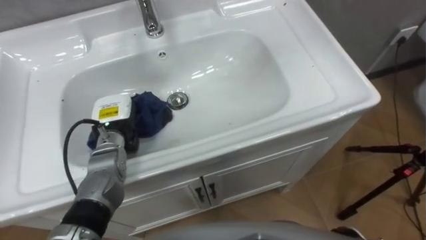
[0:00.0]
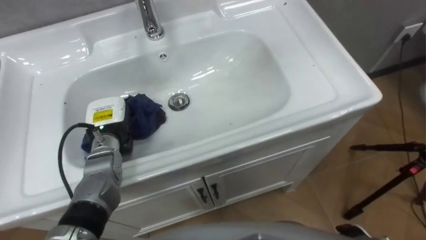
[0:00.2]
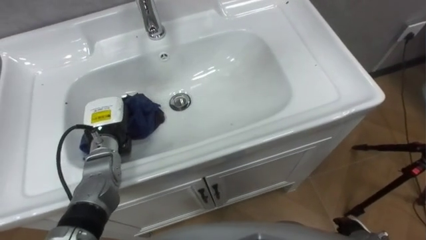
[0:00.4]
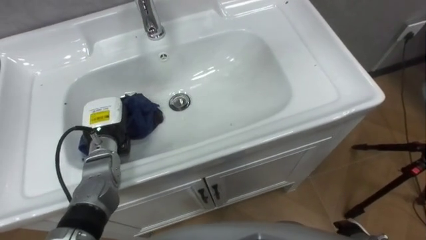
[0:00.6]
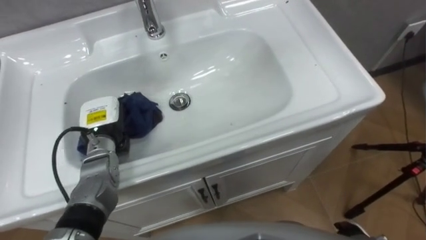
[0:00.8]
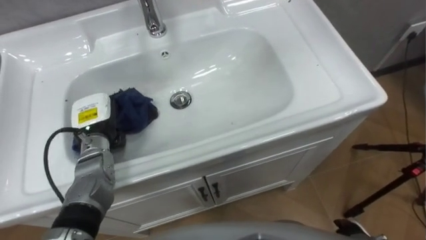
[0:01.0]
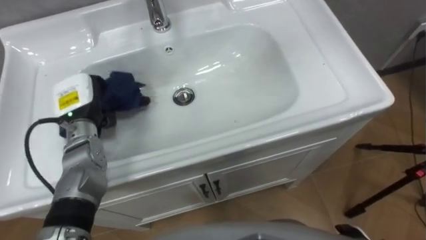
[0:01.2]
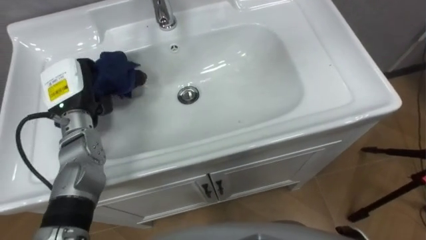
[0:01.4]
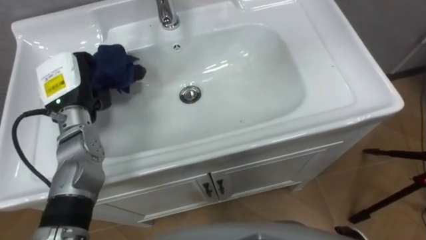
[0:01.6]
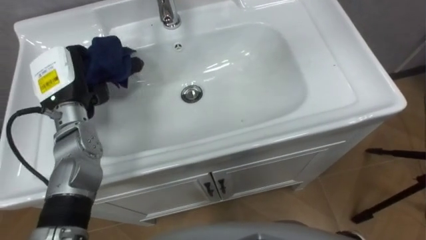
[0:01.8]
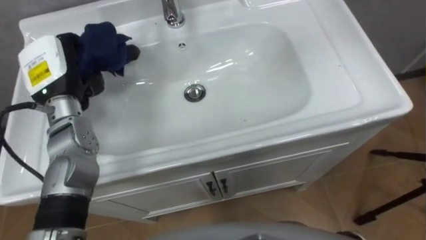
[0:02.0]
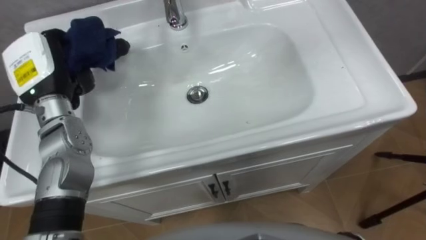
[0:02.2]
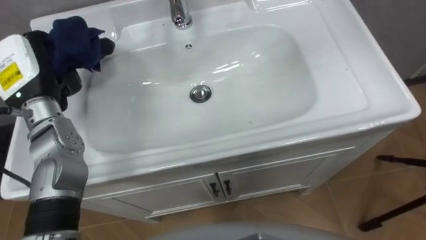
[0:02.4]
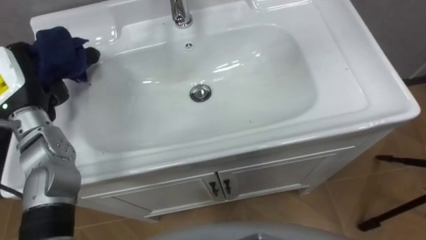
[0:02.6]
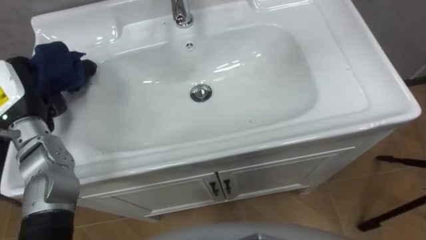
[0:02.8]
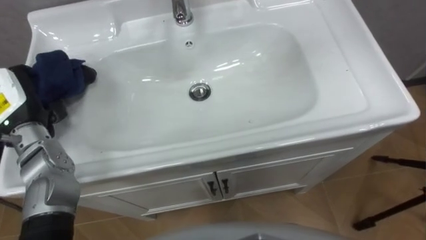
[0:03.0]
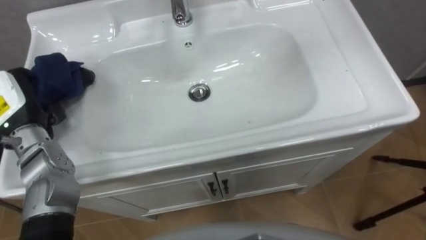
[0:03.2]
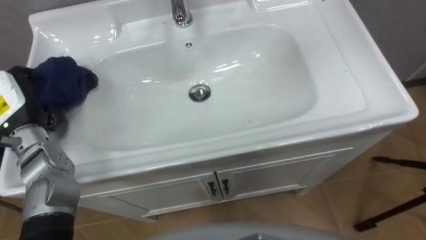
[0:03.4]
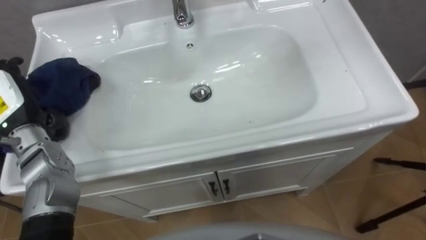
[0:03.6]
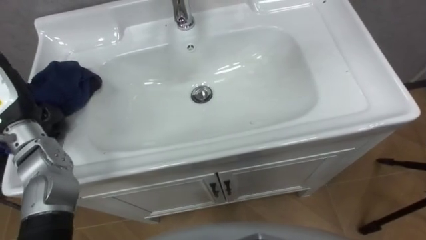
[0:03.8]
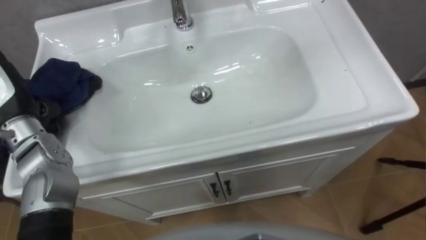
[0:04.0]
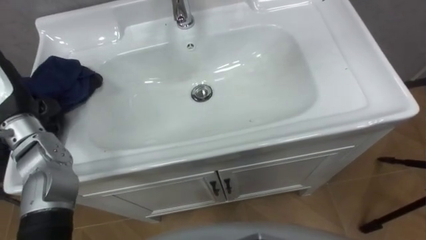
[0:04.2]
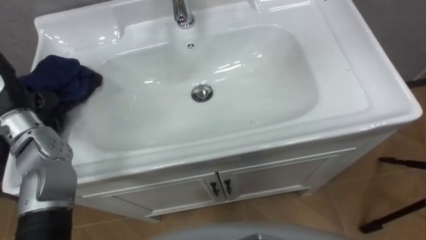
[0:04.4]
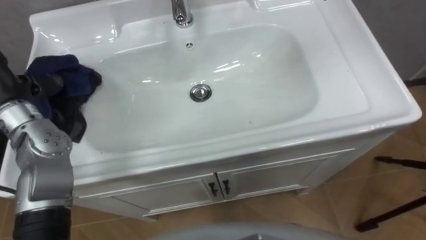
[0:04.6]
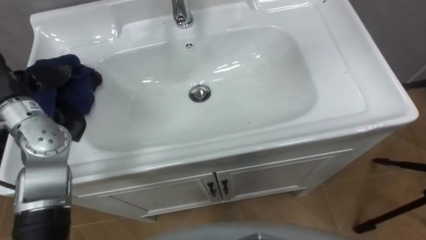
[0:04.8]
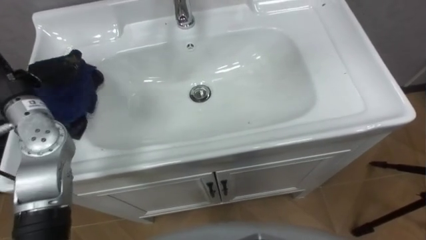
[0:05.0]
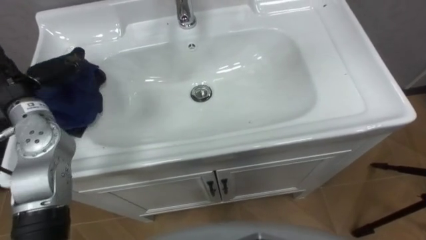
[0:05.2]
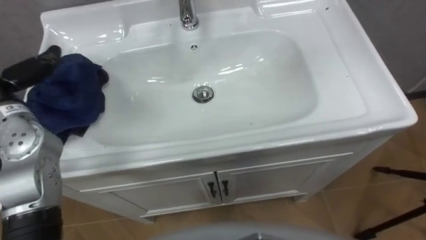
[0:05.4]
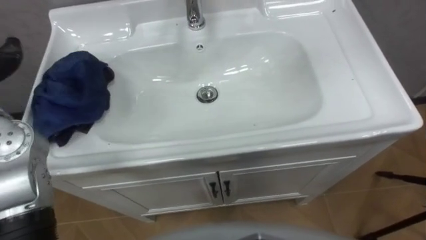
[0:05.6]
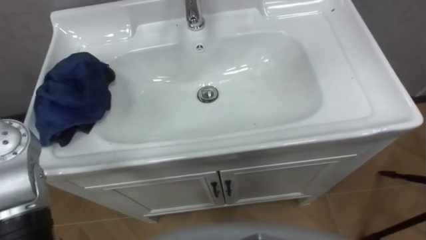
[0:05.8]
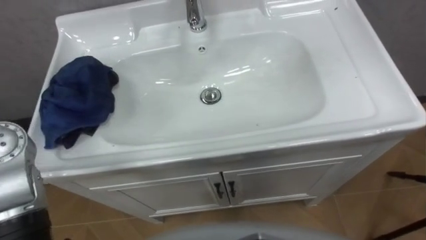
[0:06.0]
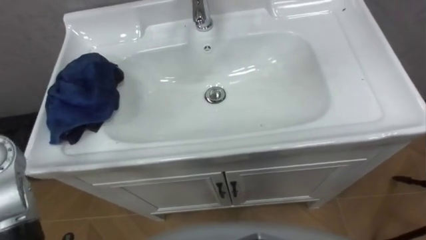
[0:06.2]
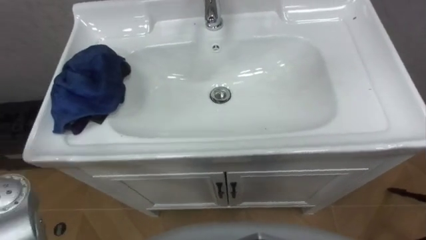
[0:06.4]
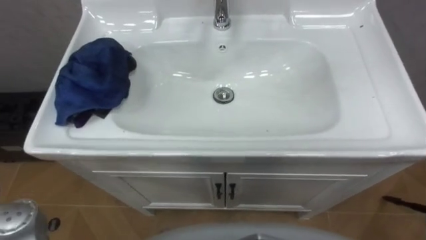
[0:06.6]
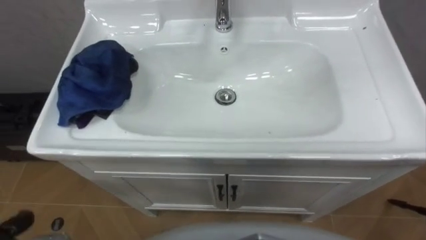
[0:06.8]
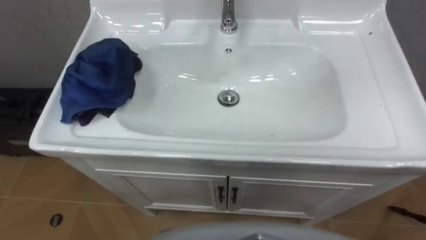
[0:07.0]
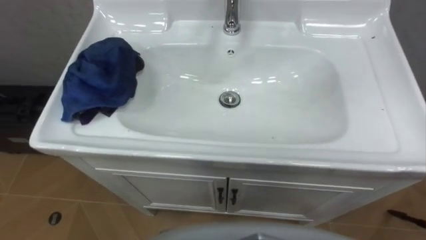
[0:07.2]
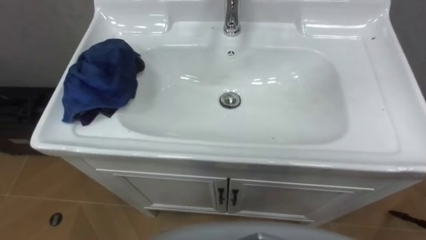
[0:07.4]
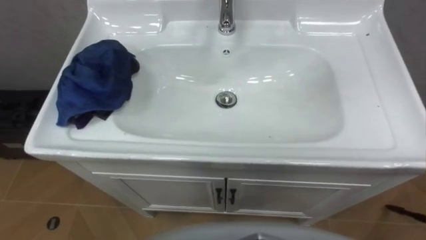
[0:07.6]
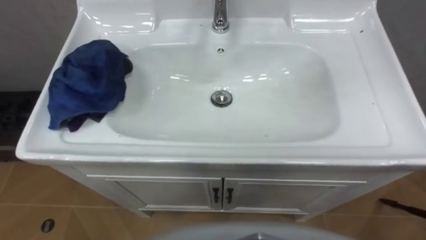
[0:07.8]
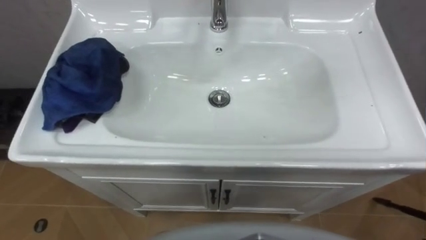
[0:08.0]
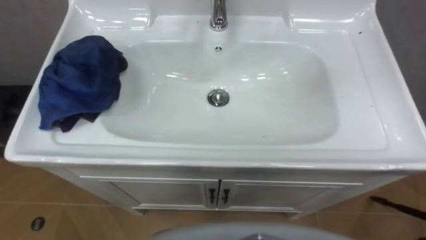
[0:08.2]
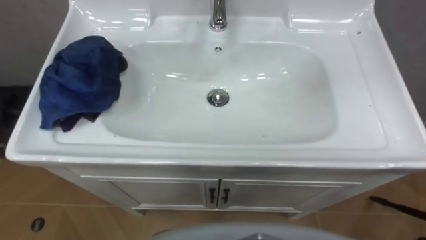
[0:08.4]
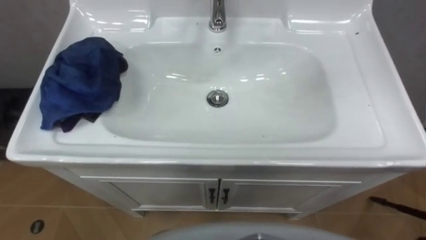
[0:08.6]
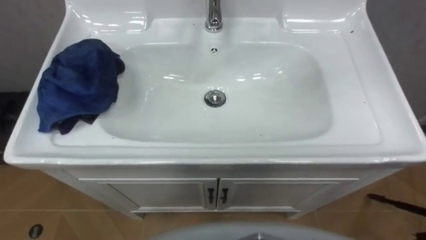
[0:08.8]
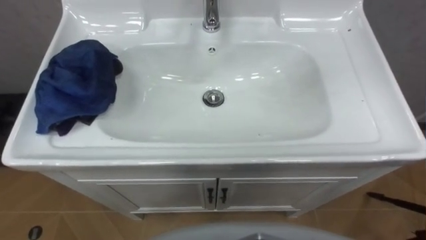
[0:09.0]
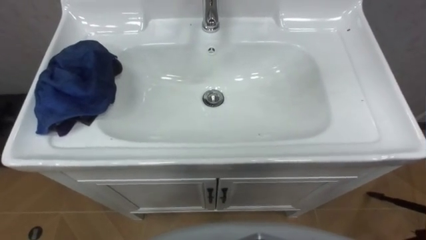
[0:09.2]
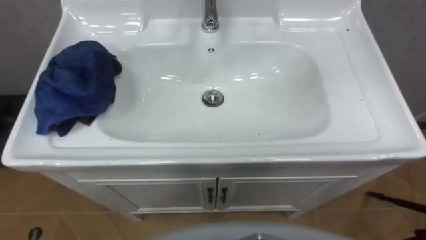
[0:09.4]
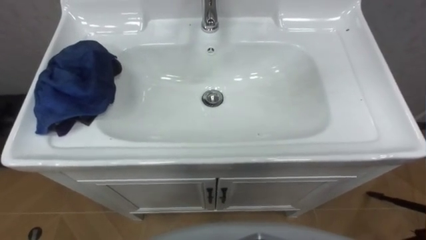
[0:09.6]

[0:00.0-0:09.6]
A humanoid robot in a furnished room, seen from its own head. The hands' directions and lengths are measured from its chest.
Task of the whole recording: Use the cloth on the right to wipe away the black stain in the sink.
0:00.0 to 0:01.6: The left hand heads upward and to the left, covering approximately 10 cm.
0:01.6 to 0:03.2: The left hand travels to the left and backward by some 10 cm.

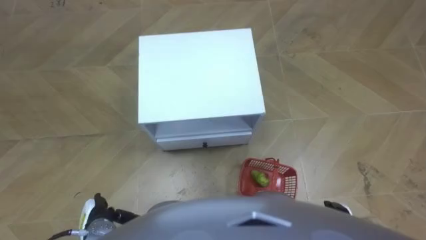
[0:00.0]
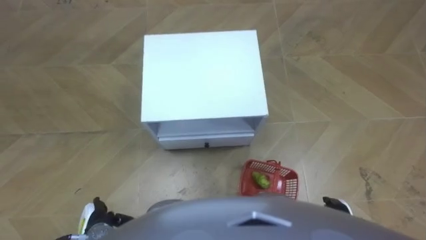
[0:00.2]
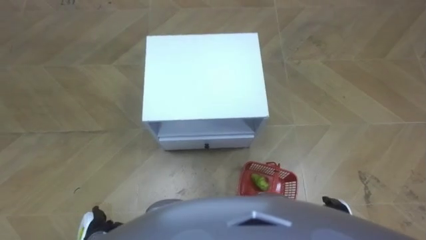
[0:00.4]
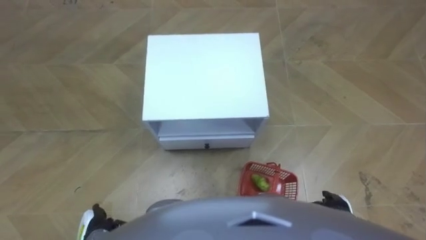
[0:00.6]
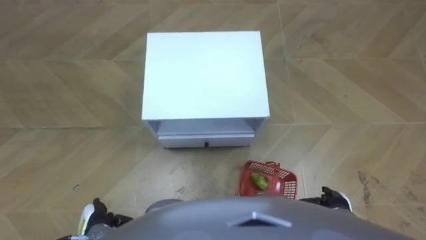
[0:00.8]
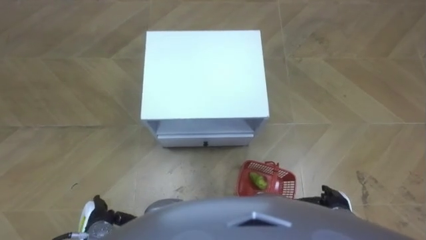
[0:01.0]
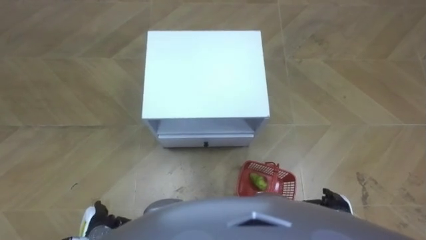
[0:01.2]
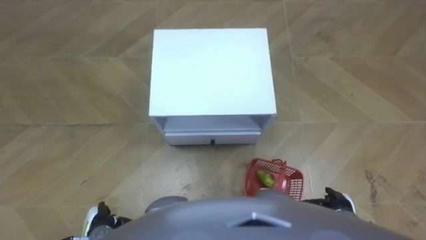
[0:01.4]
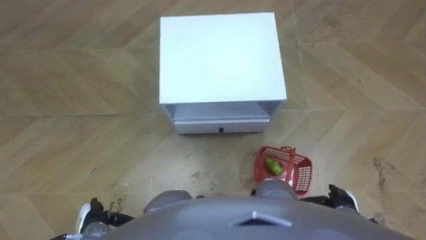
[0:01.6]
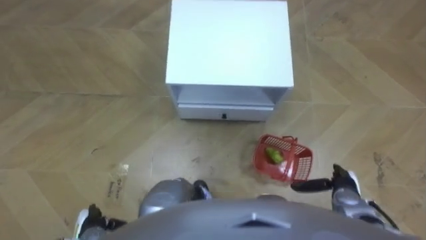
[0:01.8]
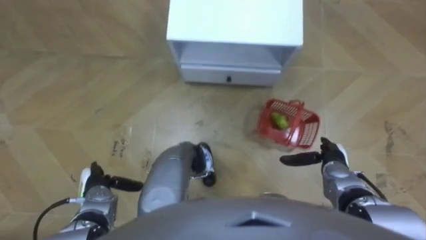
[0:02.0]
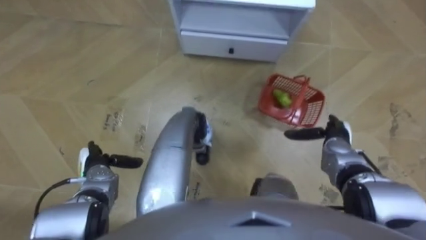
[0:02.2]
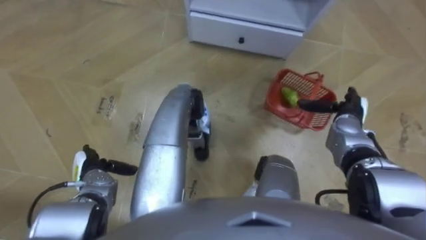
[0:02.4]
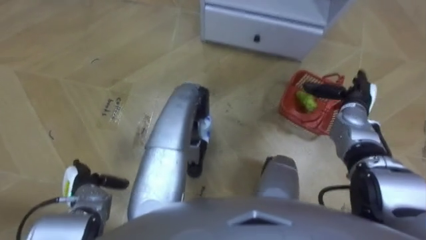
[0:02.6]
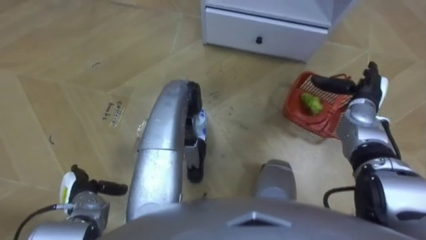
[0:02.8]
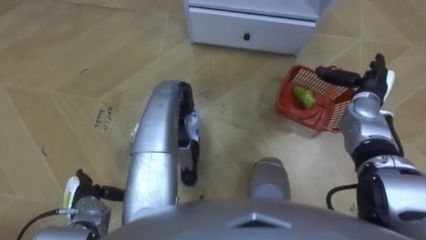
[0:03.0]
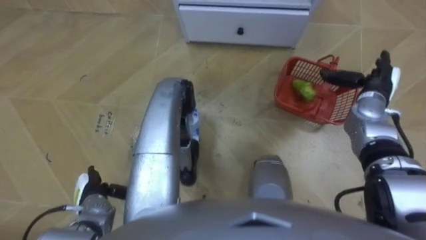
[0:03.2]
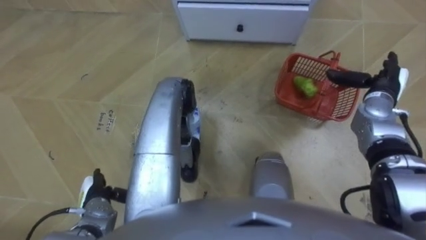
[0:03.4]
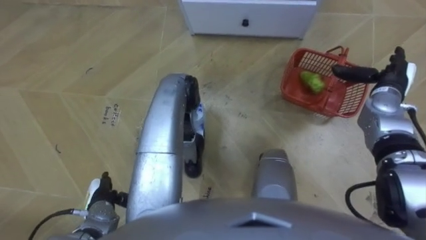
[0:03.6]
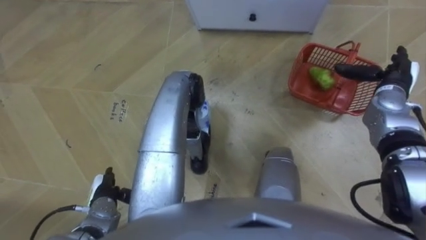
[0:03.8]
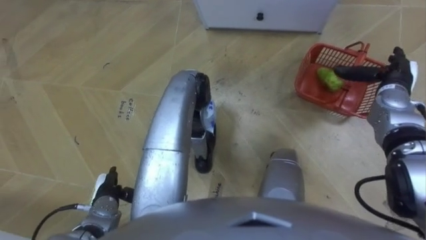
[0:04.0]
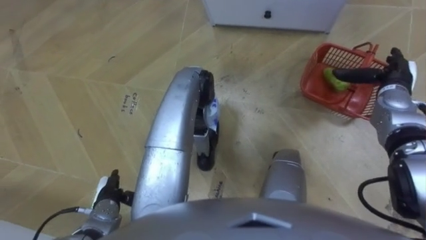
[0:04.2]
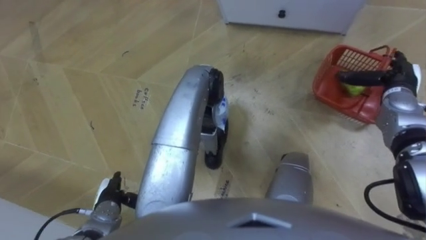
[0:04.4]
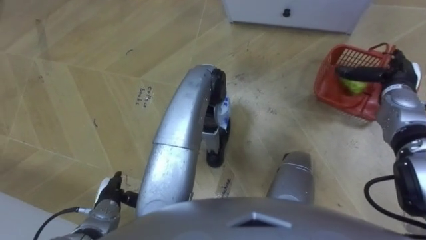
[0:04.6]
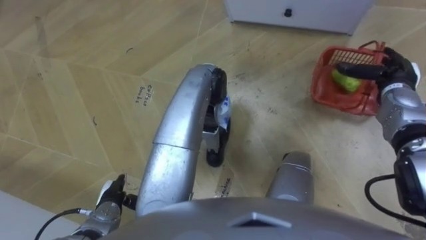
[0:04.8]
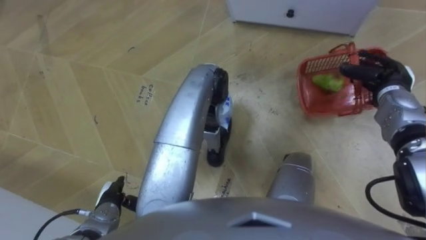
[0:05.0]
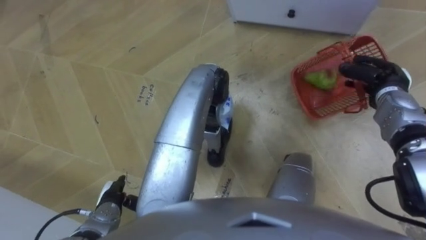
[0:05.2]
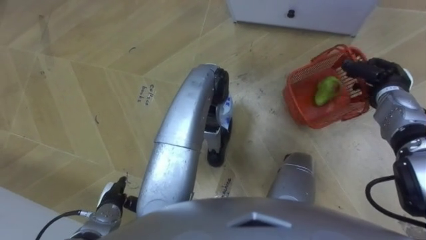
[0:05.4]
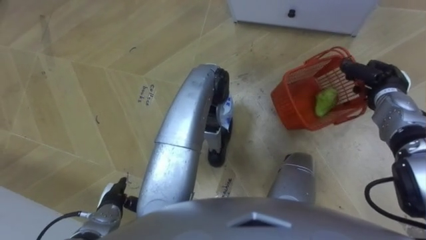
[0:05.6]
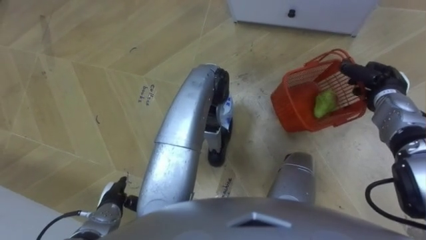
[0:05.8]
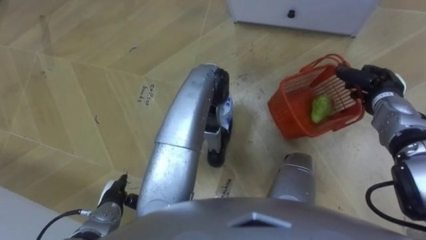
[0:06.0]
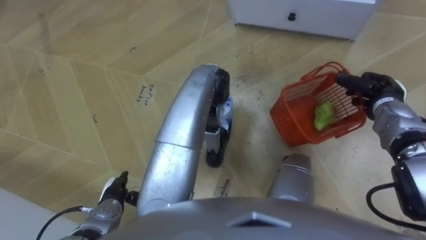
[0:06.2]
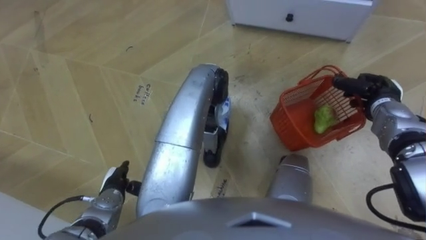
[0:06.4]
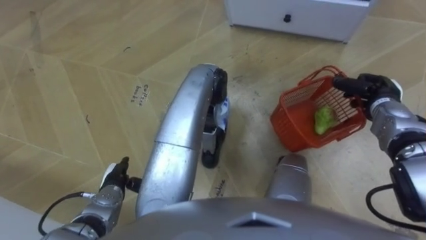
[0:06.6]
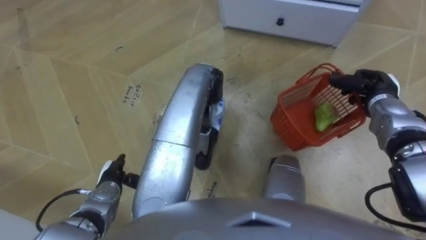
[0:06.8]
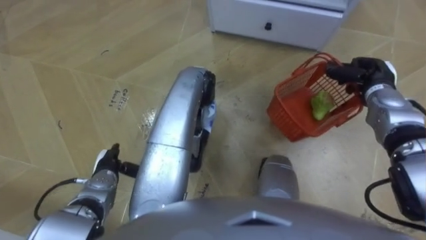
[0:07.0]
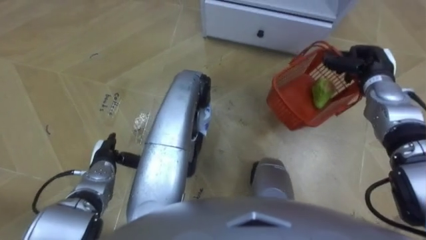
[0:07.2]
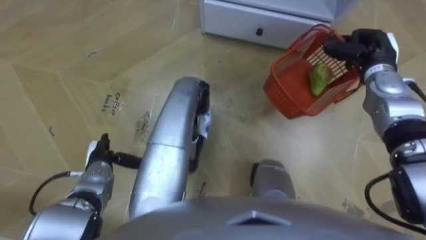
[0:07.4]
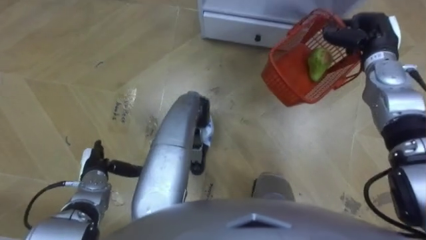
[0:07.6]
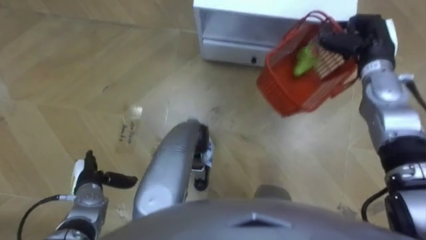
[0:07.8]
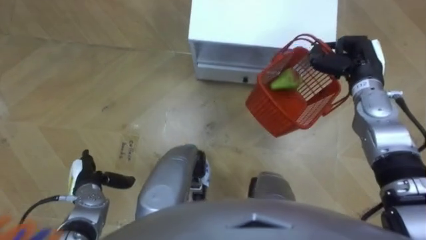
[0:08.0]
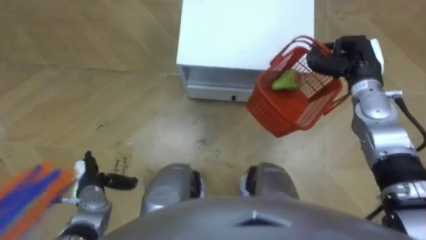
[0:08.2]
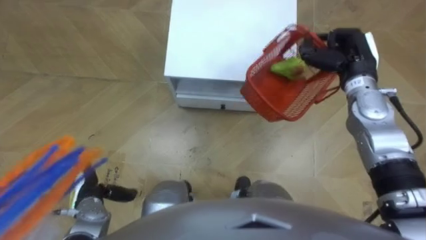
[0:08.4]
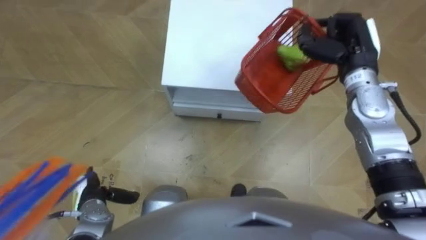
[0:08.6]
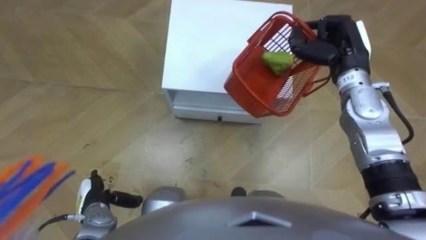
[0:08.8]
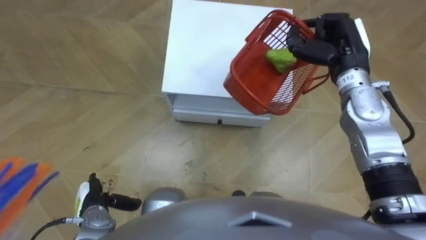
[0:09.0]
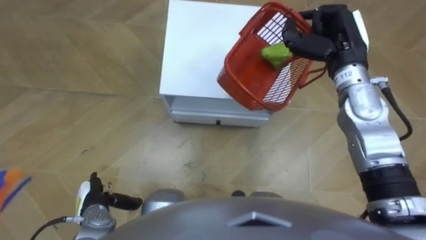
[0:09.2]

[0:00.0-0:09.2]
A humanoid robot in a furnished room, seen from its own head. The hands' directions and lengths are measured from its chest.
Task of the whole recording: Pick up the fruit basket from the floor and place it on the cabinet.
0:01.6 to 0:03.0: The left hand is displaced forward by approximately 5 cm; the right hand is displaced forward and upward by some 25 cm.
0:03.0 to 0:04.6: The left hand shifts roughly 5 cm to the right.
0:04.6 to 0:06.2: The right hand closes up.
0:06.2 to 0:07.6: The left hand heads forward, covering some 5 cm; the right hand goes about 10 cm upward and forward.
0:07.6 to 0:09.2: The right hand is displaced to the left by approximately 10 cm. Meanwhile the left hand travels backward by roughly 10 cm.
